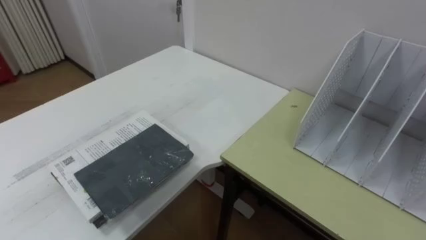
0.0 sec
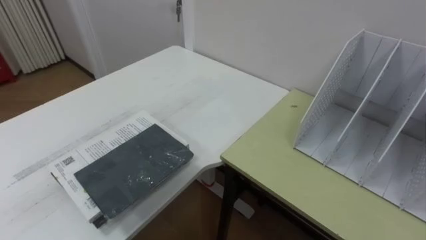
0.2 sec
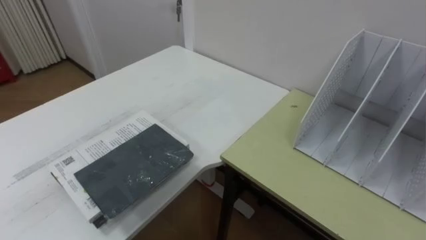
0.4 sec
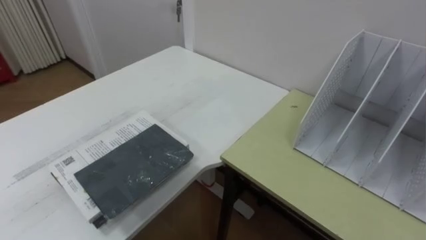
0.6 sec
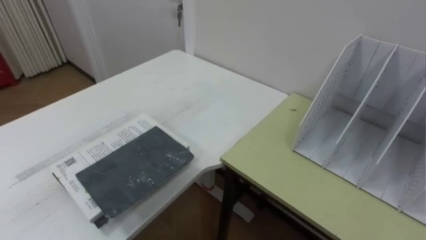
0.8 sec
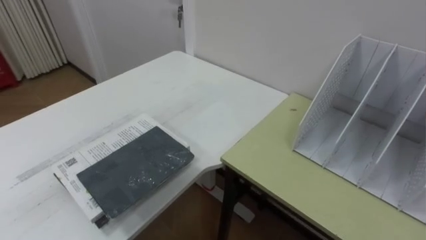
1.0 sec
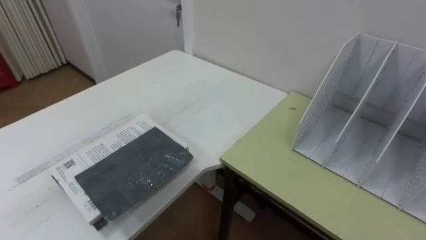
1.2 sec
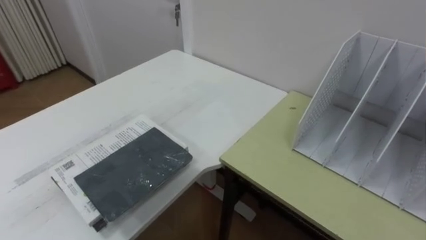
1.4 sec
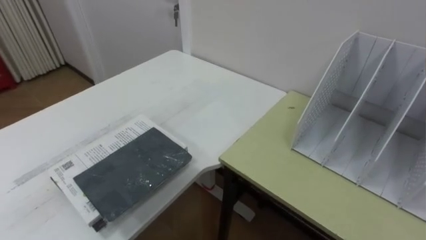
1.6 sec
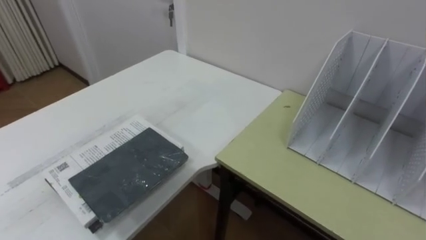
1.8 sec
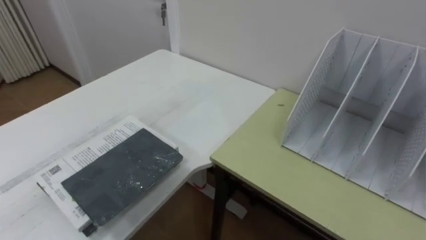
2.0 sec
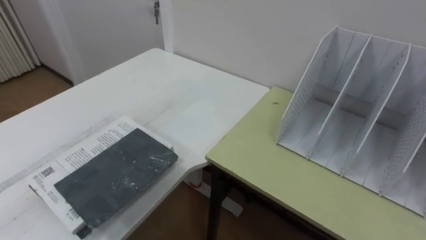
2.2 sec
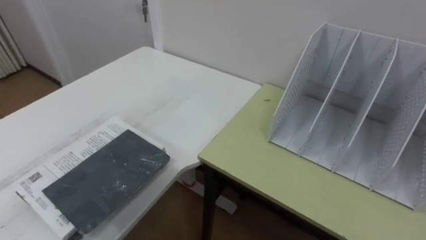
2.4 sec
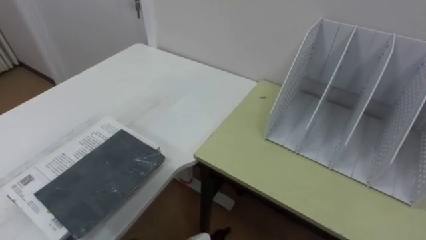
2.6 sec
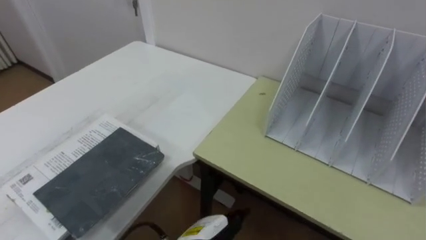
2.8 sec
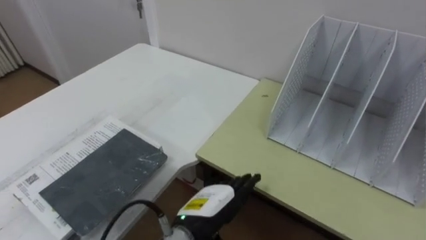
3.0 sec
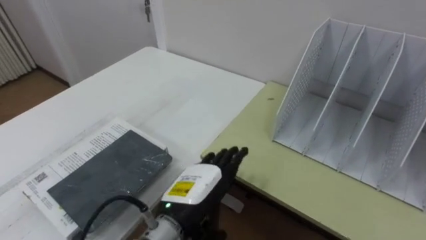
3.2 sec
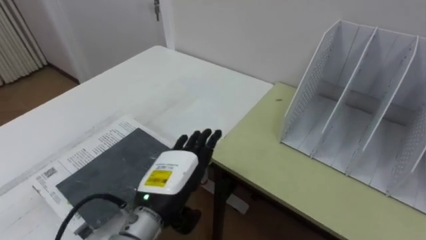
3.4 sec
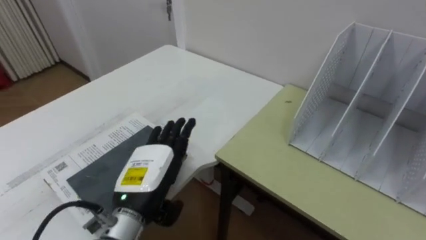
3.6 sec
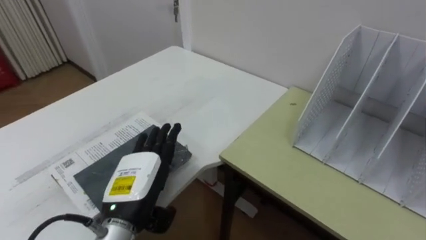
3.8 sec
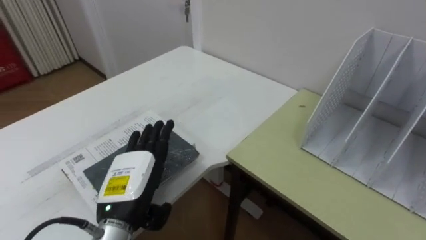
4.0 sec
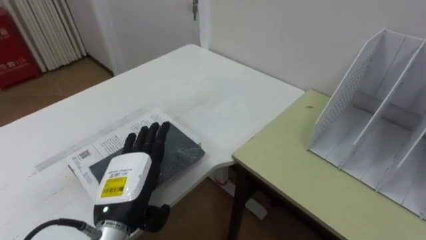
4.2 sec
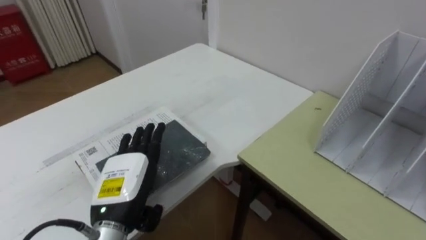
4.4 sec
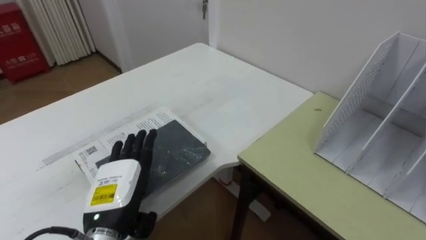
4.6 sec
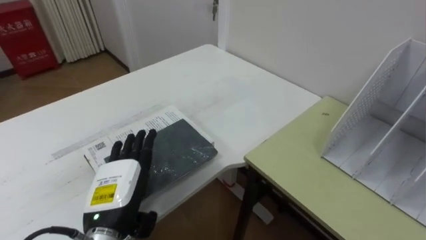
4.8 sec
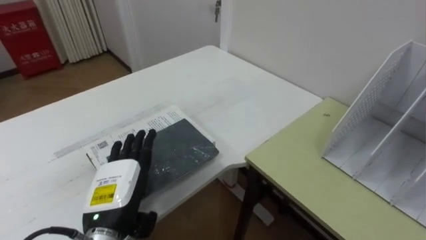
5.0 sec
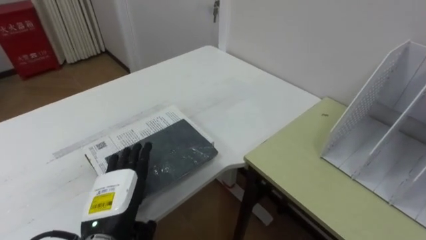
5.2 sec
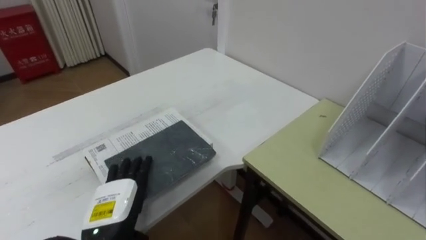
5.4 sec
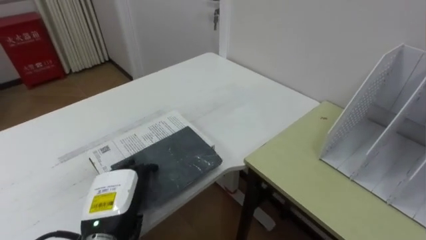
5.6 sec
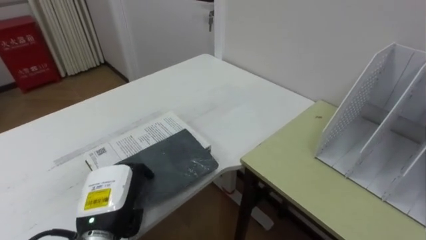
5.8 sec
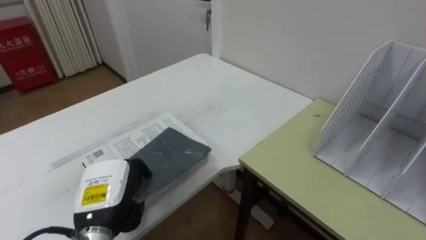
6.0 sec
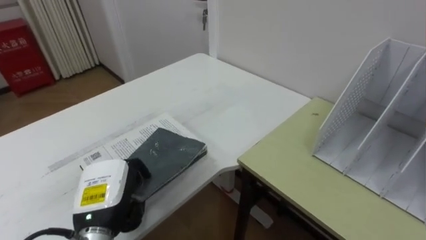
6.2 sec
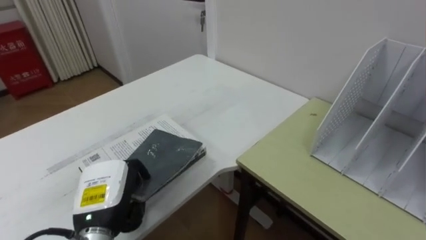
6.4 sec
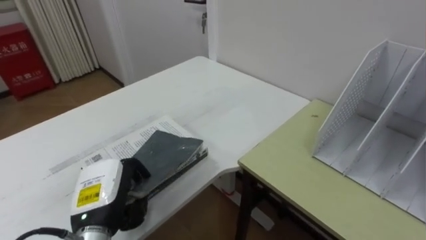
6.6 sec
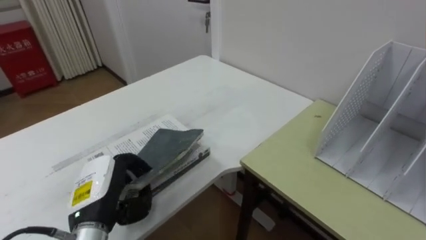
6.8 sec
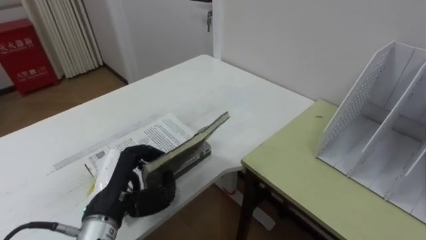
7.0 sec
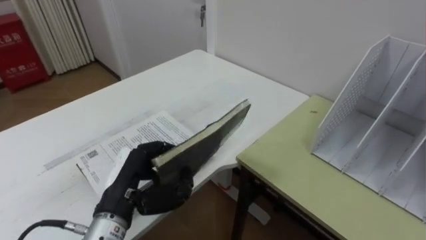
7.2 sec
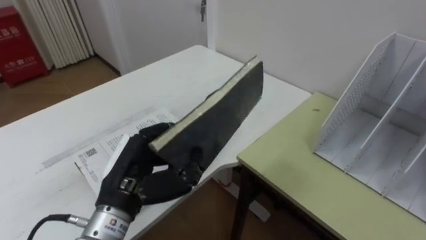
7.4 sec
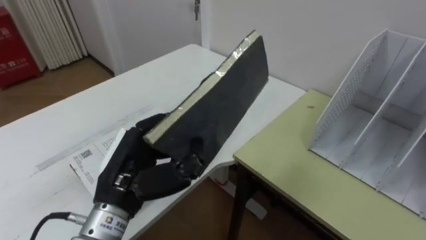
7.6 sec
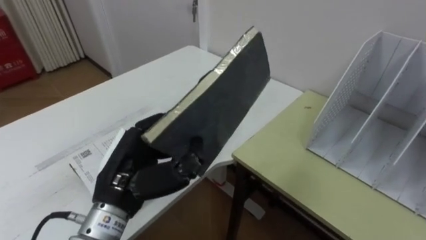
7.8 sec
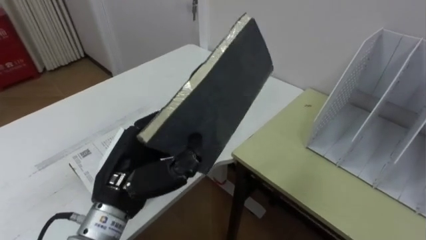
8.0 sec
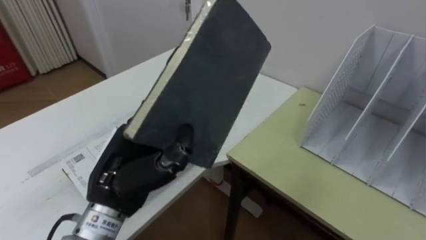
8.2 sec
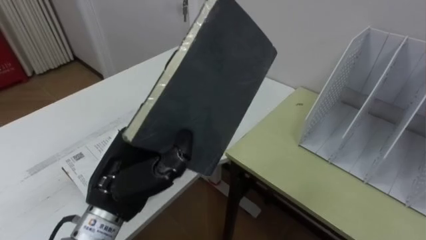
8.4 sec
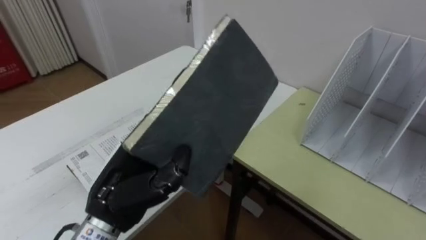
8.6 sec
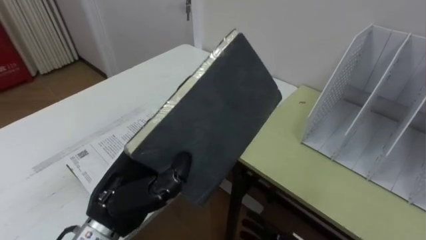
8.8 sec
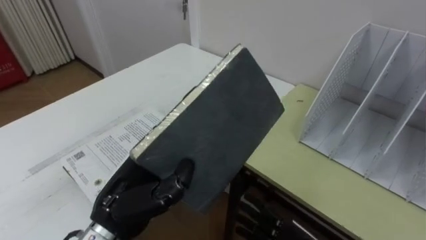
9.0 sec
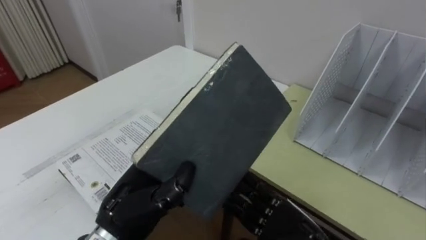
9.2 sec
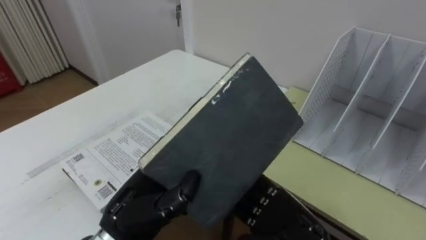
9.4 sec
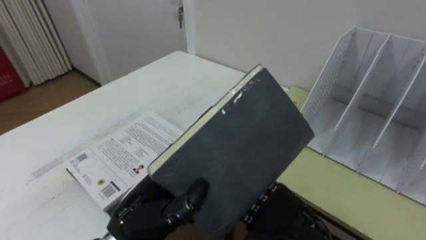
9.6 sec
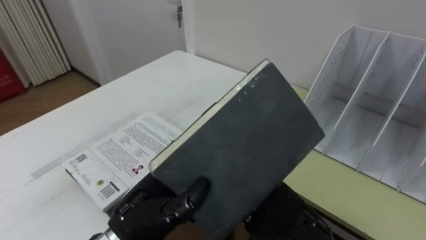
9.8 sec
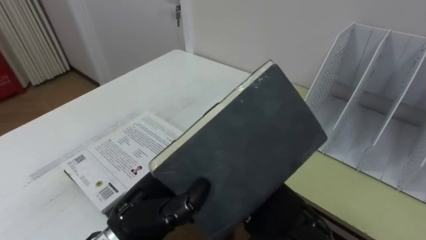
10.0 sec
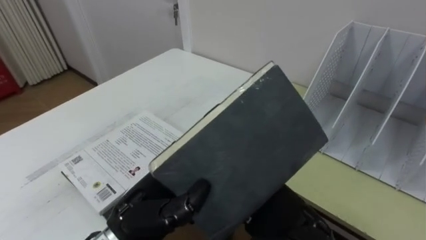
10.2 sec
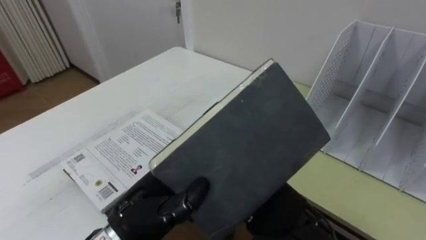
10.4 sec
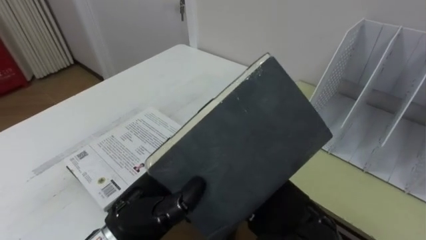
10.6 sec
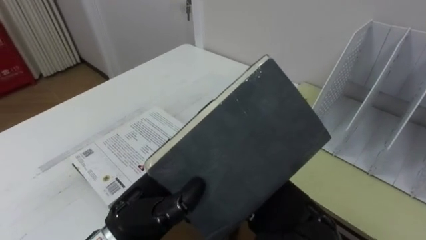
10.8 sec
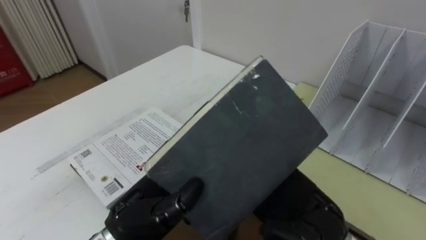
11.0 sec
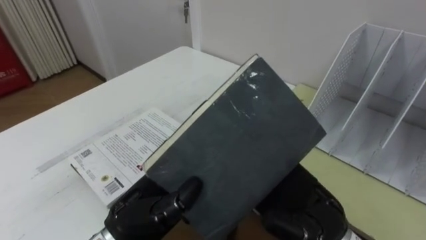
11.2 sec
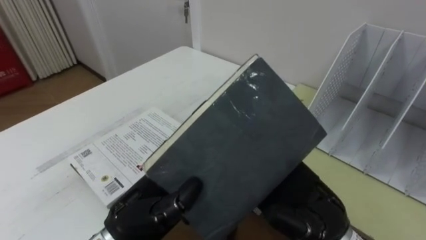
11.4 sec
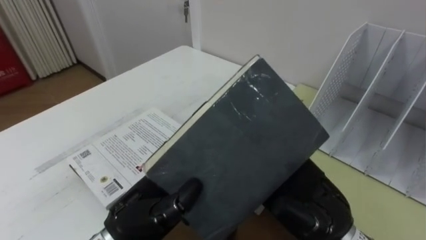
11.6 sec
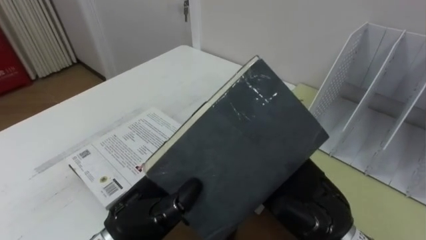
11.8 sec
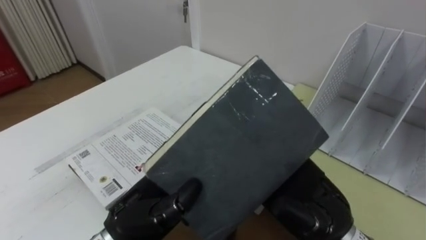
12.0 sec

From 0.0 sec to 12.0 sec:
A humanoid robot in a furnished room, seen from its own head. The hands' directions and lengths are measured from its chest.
Task of the whole recording: Put the books on the table onto the bookshelf.
From 3.0 sec to 4.4 sec: The left hand is displaced to the left by approximately 15 cm.
From 4.4 sec to 6.0 sec: The left hand closes.
From 6.0 sec to 7.6 sec: The left hand goes about 10 cm upward.
From 10.4 sec to 12.0 sec: The hands make only small movements.

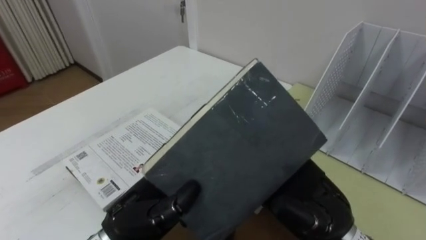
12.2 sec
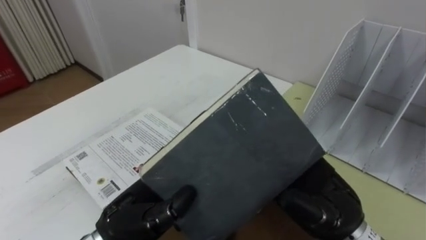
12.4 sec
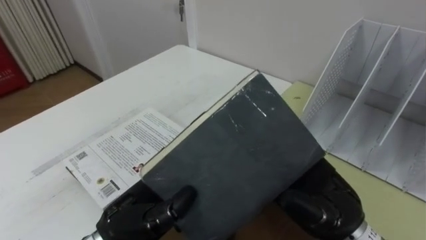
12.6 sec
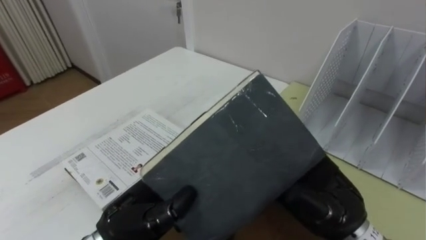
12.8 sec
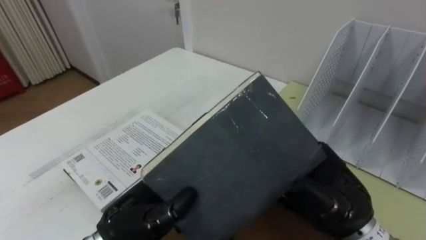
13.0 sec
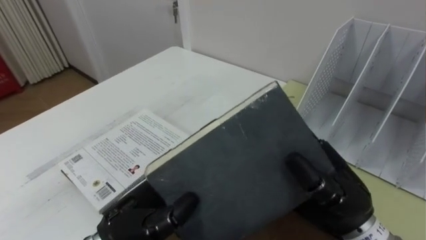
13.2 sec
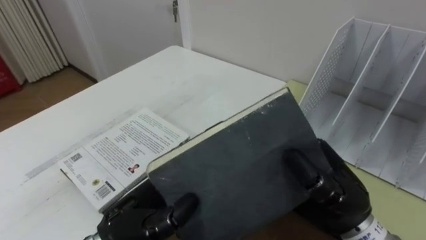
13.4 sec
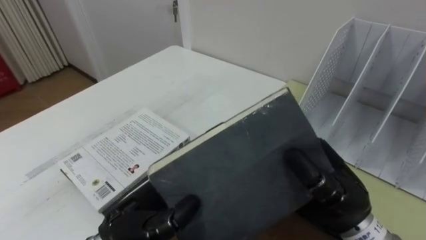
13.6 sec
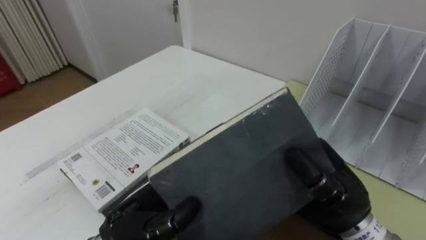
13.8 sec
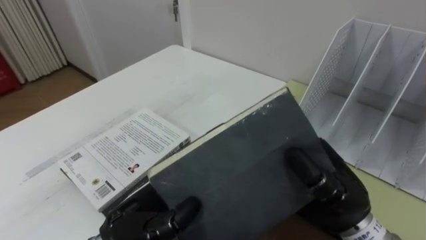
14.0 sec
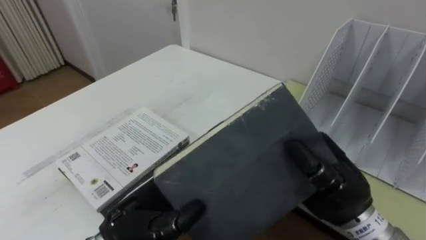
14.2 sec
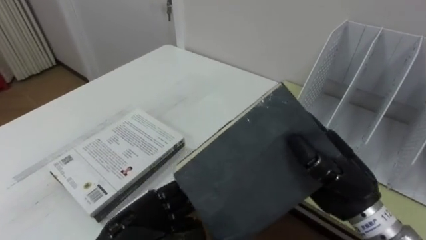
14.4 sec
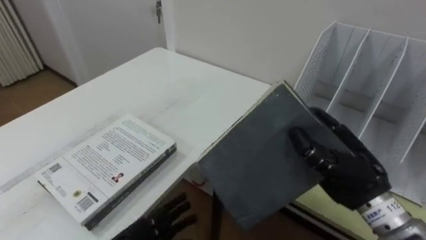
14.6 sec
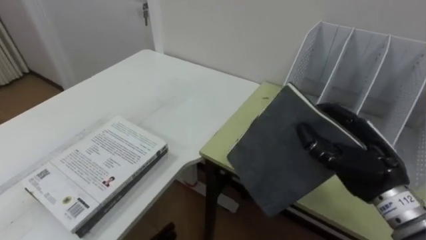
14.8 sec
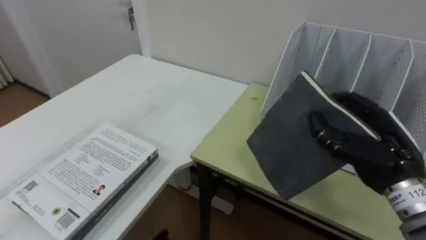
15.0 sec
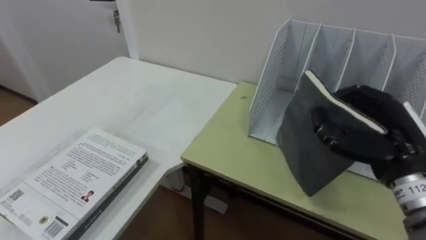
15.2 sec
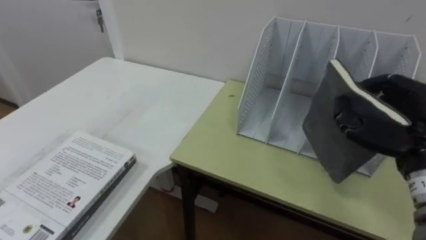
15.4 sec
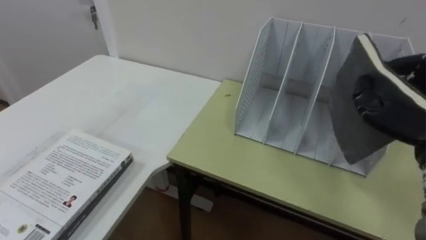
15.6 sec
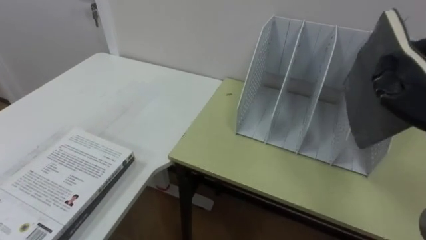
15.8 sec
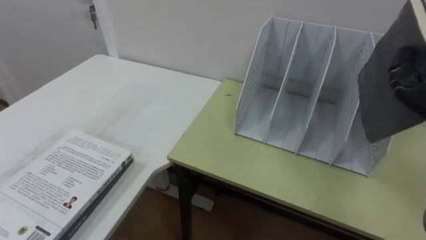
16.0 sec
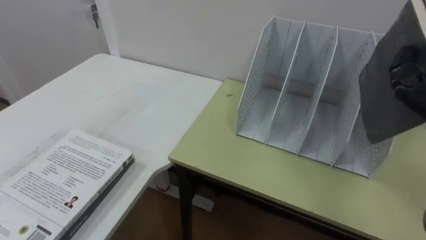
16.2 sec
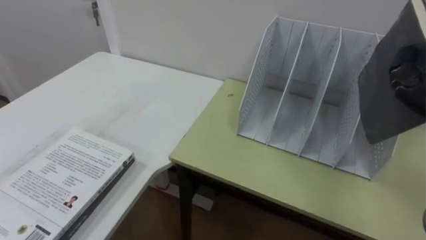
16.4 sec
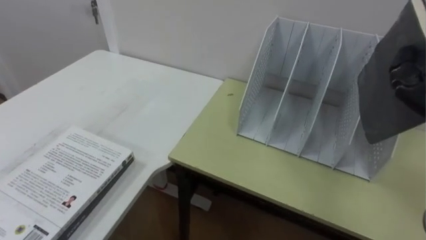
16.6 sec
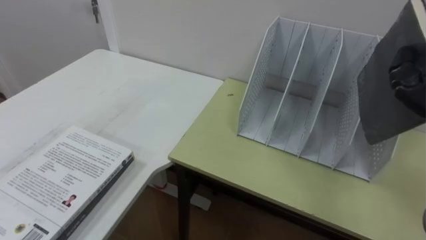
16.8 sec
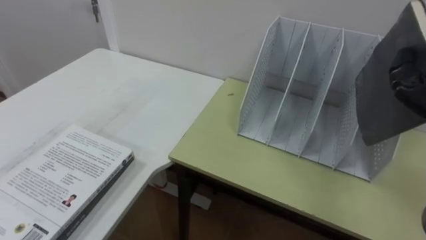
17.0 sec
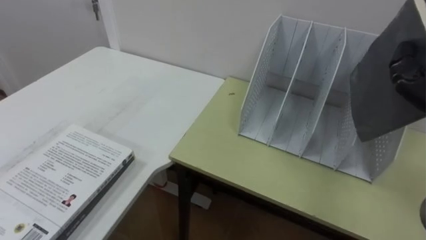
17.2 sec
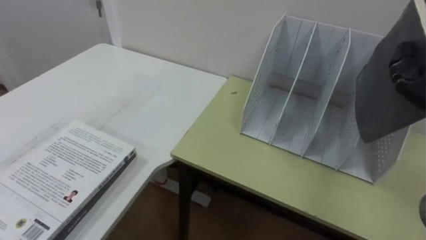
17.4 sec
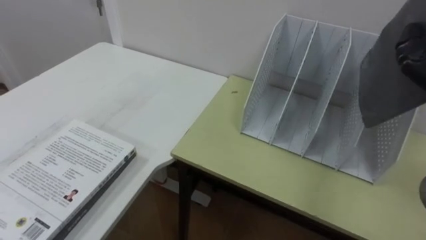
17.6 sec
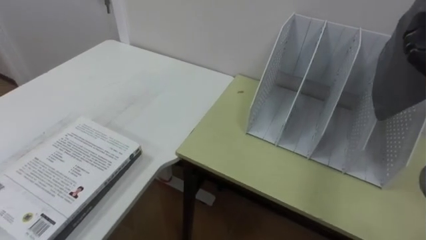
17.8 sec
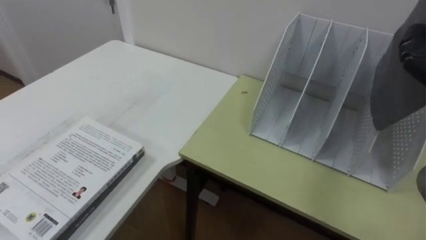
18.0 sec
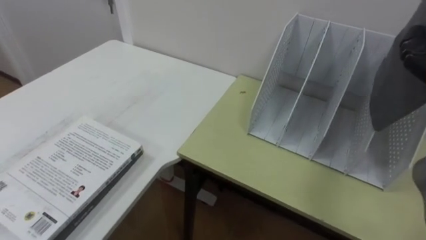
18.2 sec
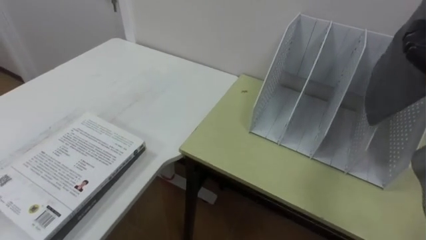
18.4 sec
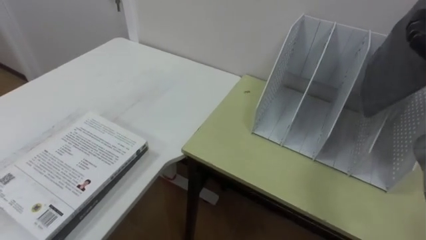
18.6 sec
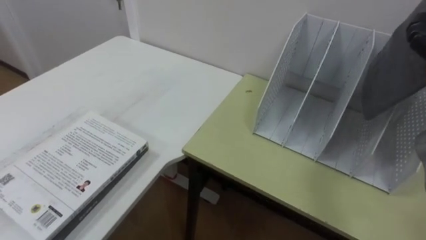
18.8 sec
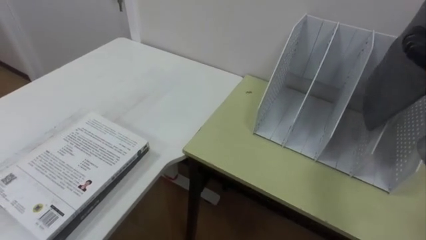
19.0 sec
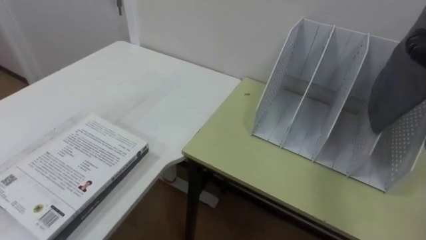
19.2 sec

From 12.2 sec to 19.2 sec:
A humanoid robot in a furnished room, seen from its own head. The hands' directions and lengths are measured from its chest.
Task of the whole recording: Put the books on the table onto the bookshelf.
From 12.2 sec to 13.6 sec: The right hand closes.
From 13.6 sec to 15.0 sec: The right hand shifts roughly 10 cm to the right.
